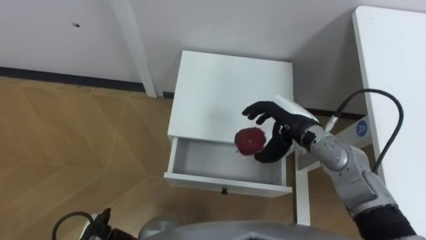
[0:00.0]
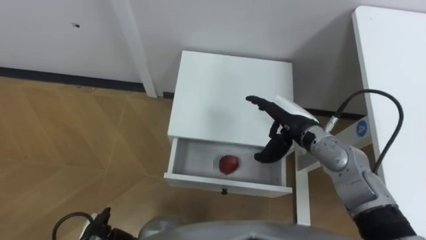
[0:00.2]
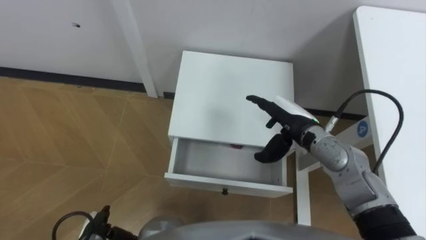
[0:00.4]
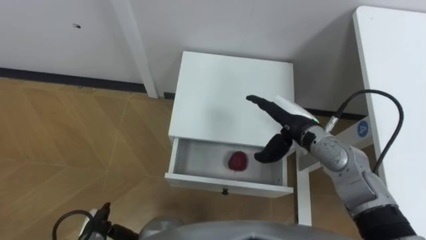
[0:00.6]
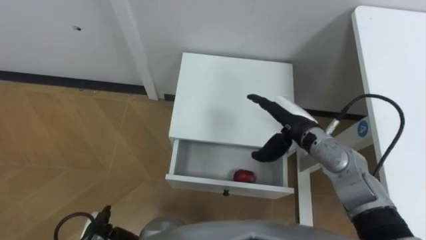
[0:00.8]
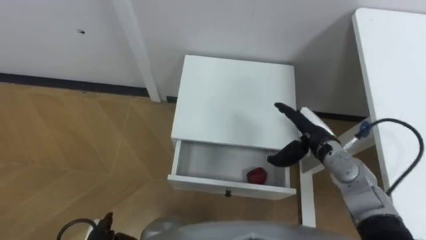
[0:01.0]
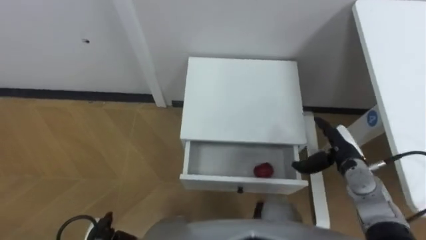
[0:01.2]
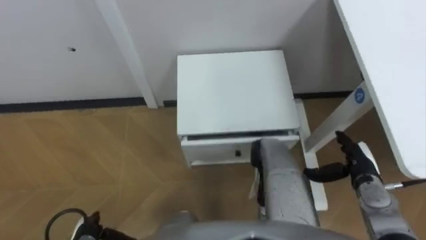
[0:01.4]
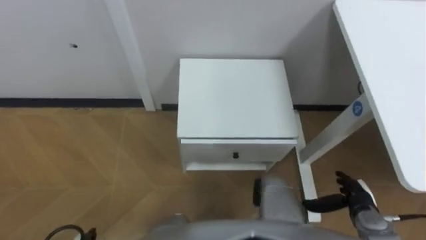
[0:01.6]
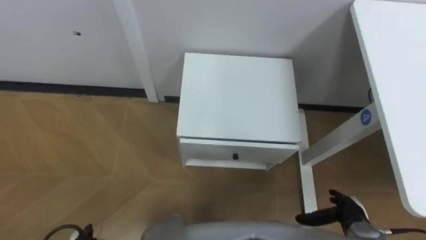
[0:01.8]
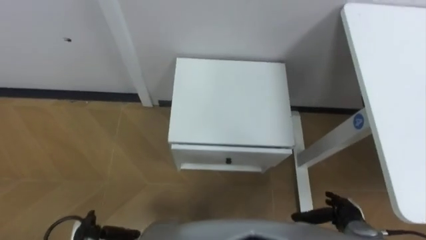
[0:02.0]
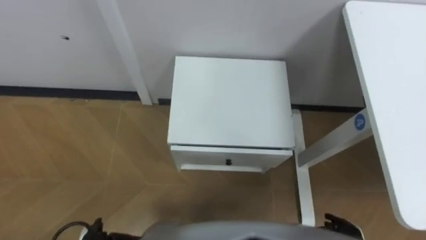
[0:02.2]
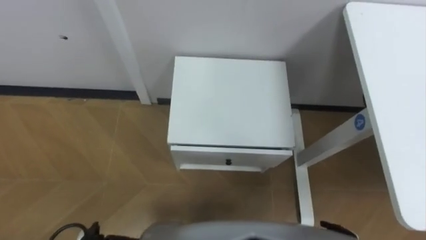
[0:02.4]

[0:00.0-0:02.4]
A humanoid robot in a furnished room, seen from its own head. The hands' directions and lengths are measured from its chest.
Task of the whole recording: Pick up the apple from the table, put it in the drawer, and close the drawer with leg.
0.0 to 1.2 s: The right hand shifts about 15 cm to the right and downward.
1.2 to 2.4 s: The right hand heads backward and downward, covering about 20 cm.

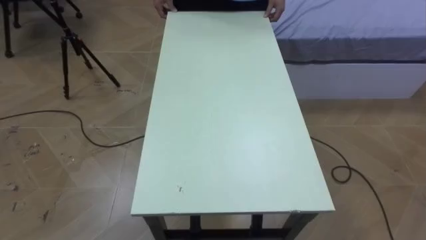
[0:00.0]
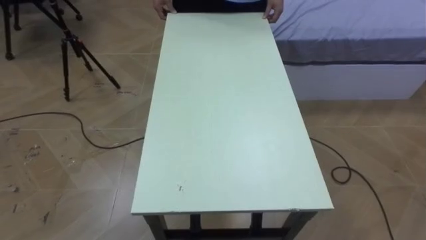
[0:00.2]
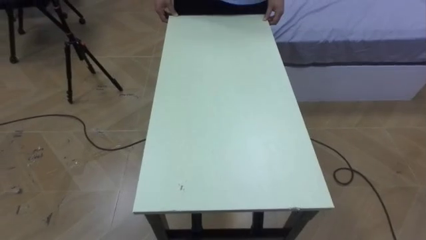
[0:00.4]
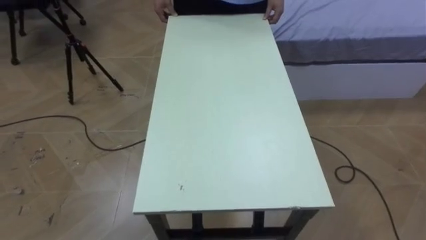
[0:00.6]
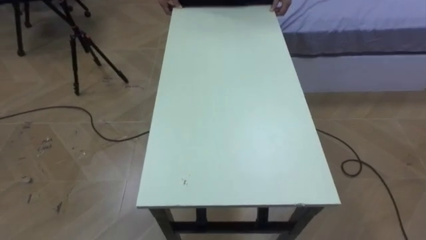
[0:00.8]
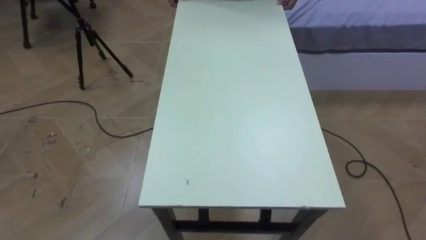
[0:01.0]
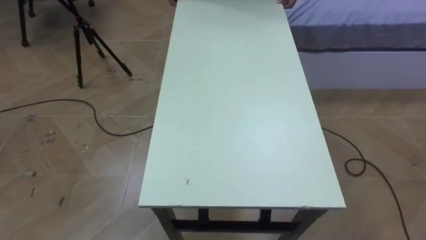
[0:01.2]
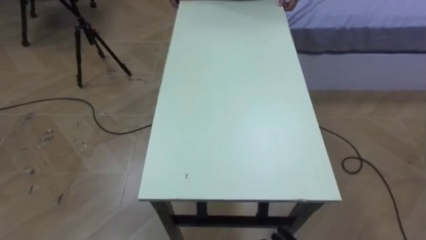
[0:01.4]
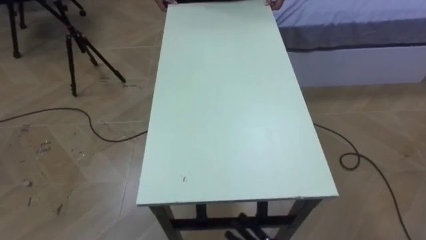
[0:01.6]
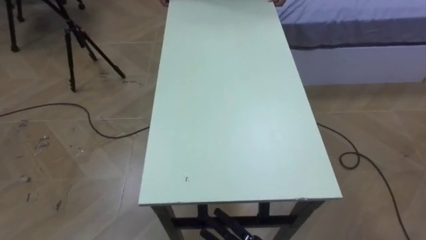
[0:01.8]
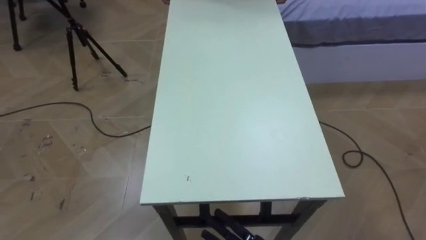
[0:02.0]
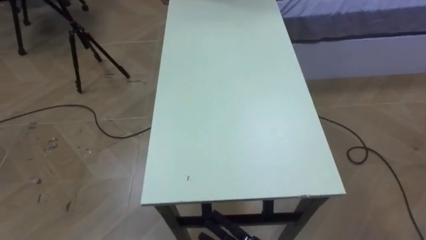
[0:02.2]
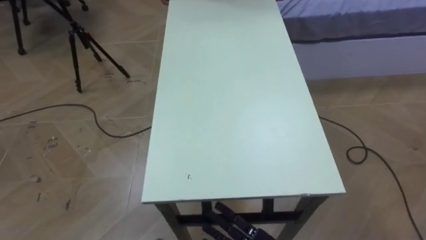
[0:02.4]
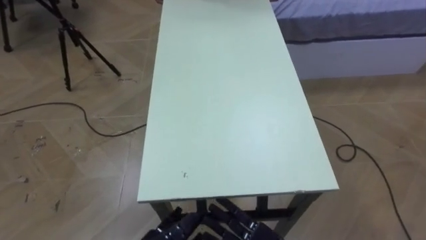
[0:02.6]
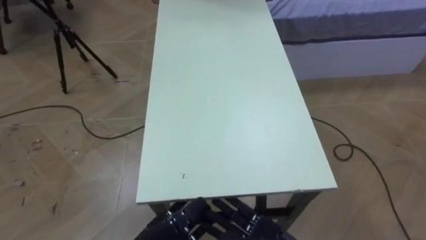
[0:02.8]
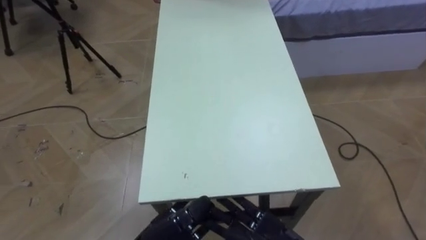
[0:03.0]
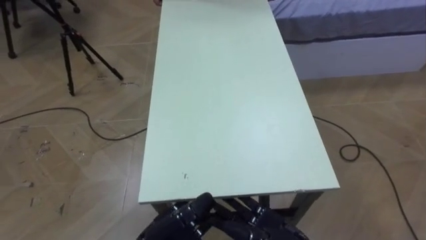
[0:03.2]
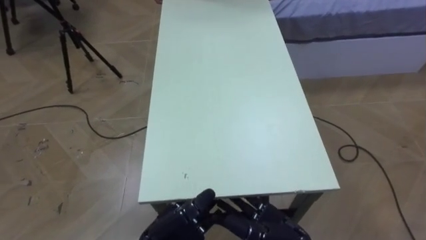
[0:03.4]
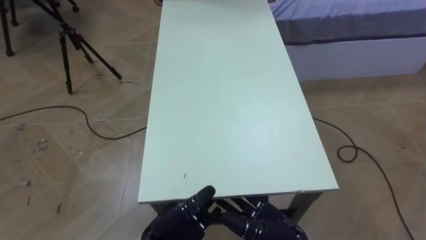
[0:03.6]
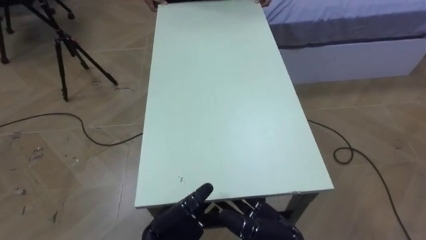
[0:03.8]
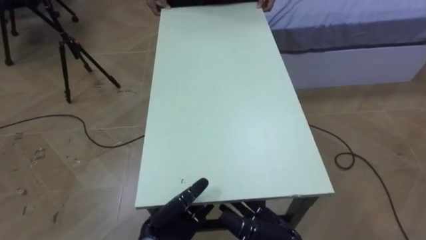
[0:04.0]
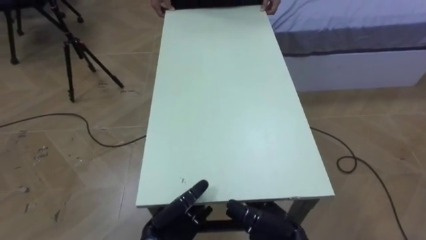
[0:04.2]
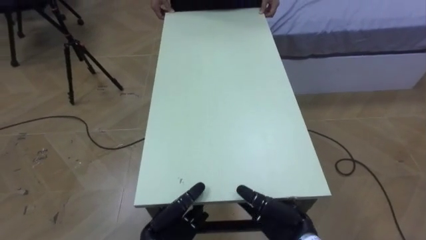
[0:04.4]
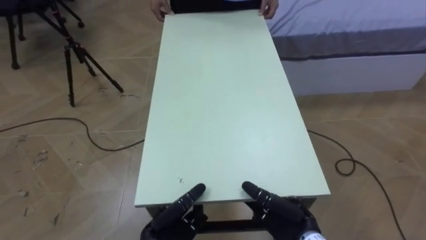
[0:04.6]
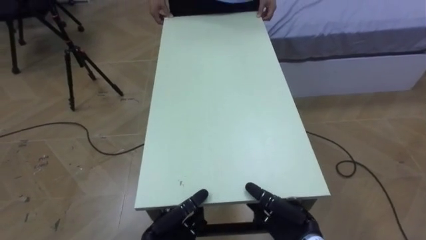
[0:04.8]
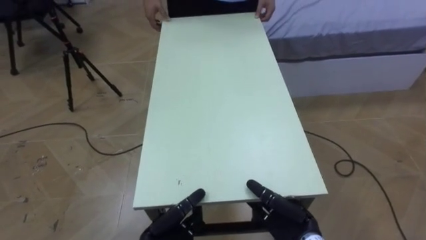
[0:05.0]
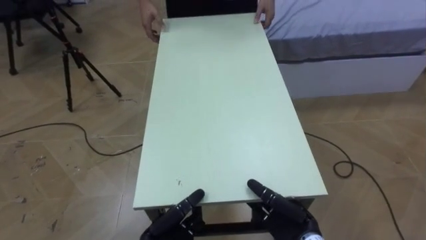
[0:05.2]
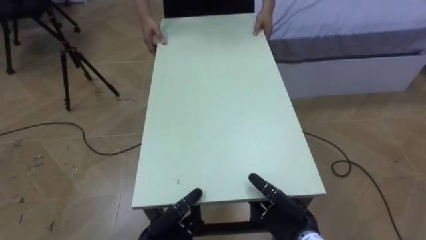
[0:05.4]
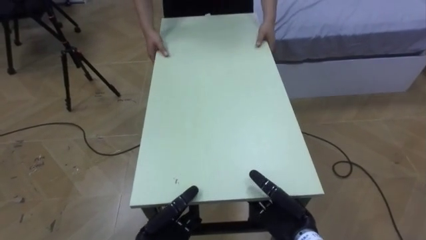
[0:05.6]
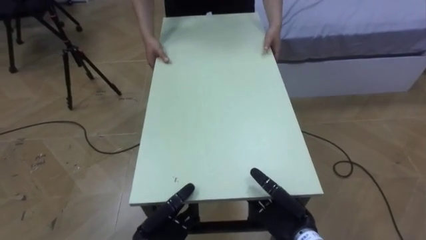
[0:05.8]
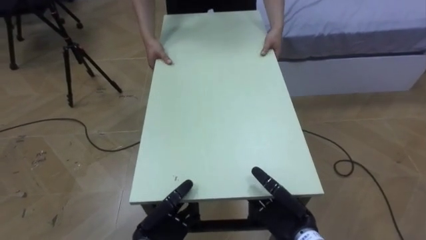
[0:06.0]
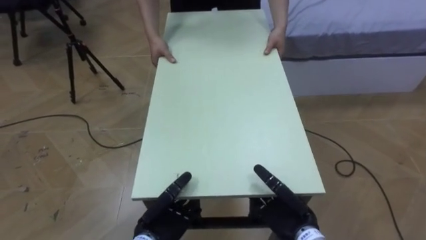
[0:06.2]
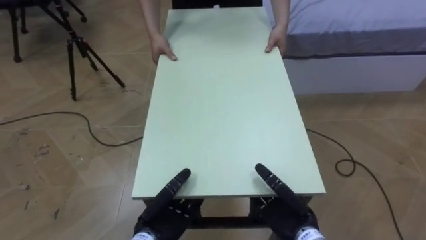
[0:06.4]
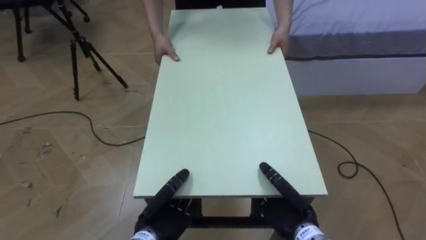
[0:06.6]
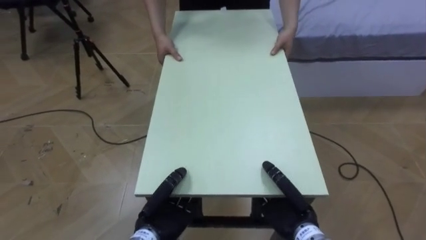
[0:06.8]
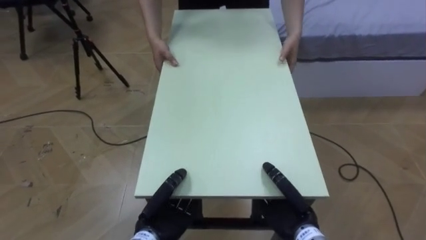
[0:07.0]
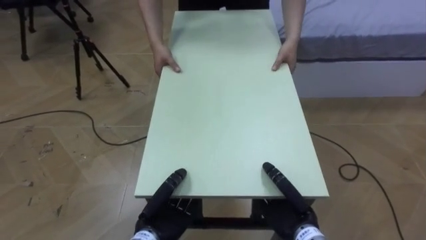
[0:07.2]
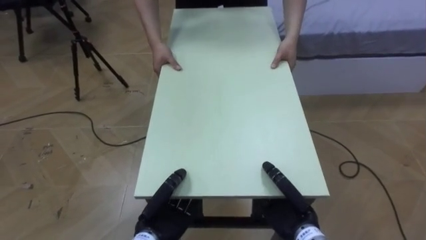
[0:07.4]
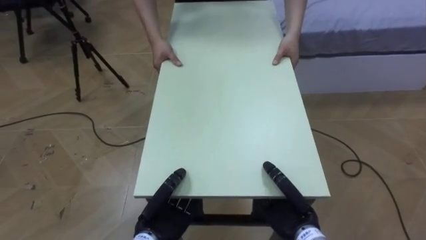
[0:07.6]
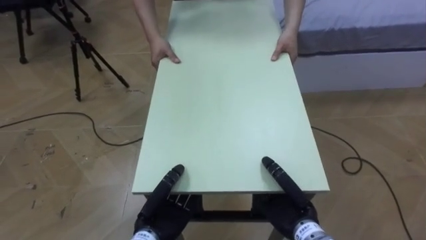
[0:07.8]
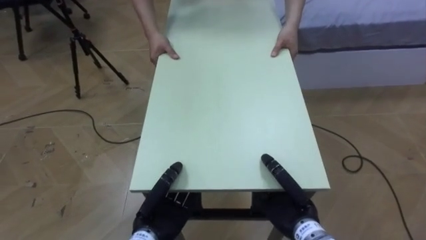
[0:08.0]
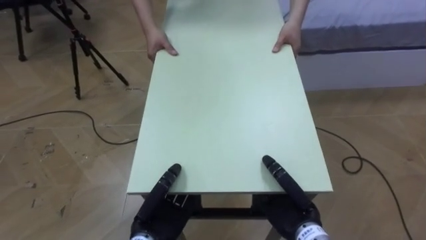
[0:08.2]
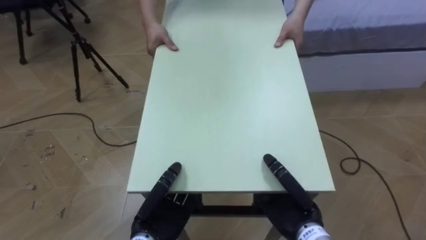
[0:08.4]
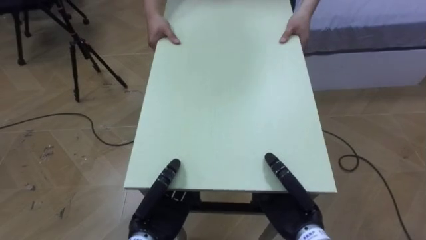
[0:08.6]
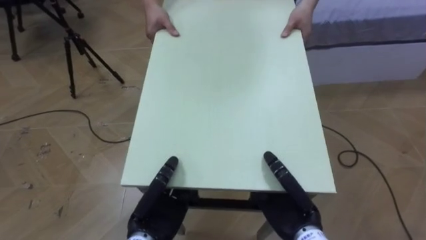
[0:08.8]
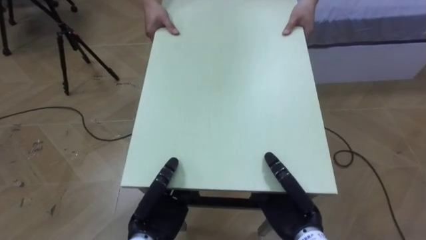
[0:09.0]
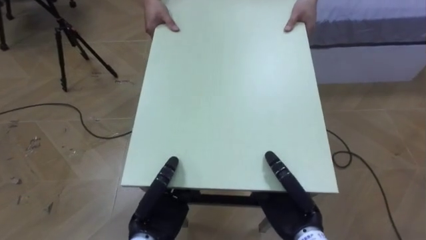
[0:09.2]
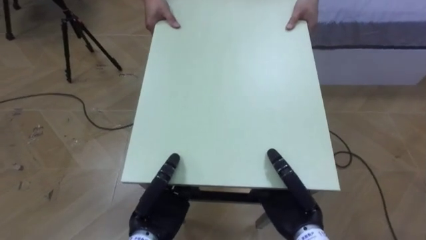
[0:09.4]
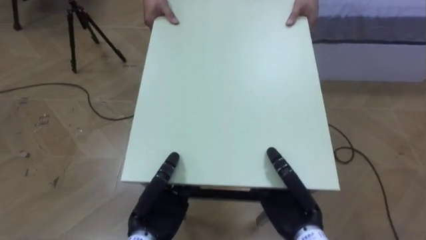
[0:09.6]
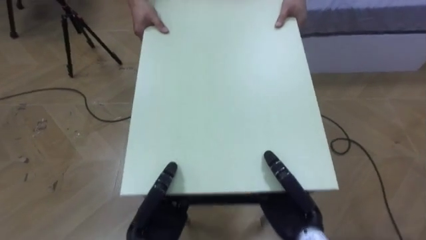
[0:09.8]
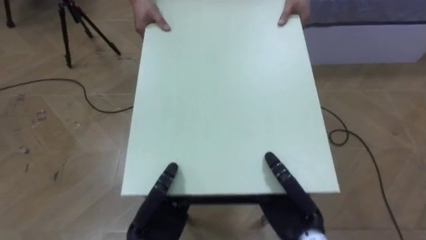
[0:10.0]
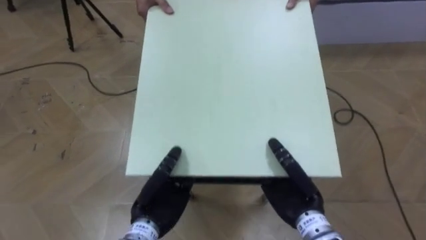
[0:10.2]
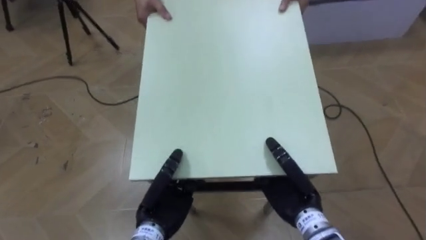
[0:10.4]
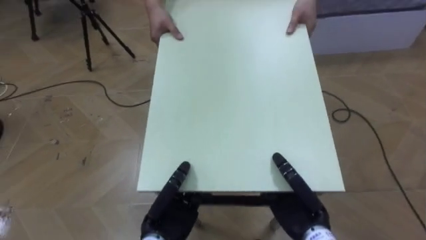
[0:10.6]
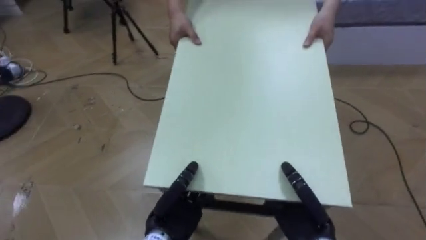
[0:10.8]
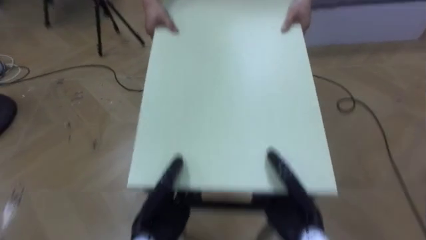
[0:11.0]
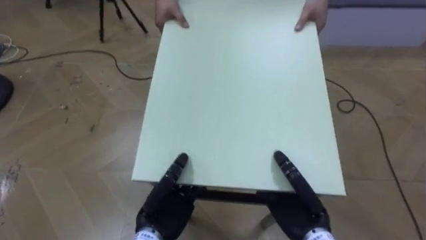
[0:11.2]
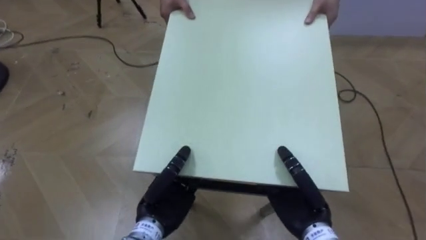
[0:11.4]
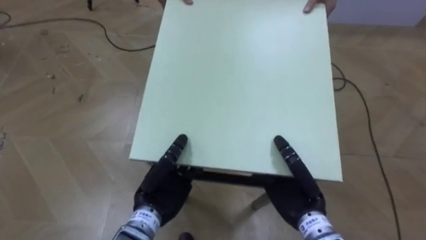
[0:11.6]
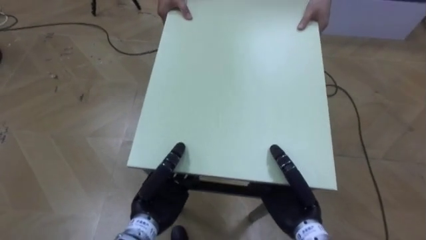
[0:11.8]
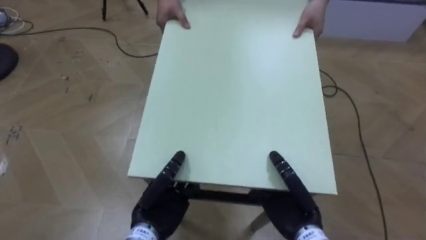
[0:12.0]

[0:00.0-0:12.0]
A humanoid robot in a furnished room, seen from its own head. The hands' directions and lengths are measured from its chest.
Task of the whole recording: Move the table to the back left with someone.
3.0 to 4.4 s: The left hand is displaced downward by roughly 5 cm.
6.0 to 7.6 s: The left hand closes its fingers, while the right hand closes.
7.6 to 9.0 s: The right hand shifts by approximately 5 cm.

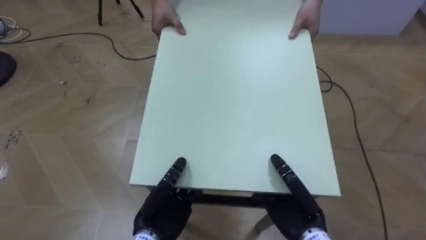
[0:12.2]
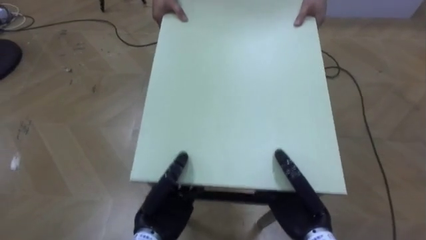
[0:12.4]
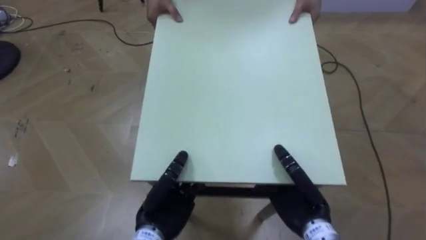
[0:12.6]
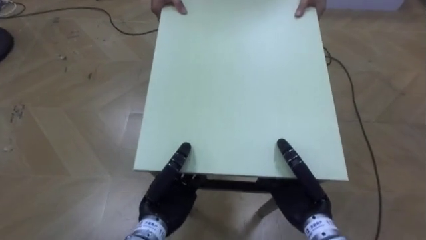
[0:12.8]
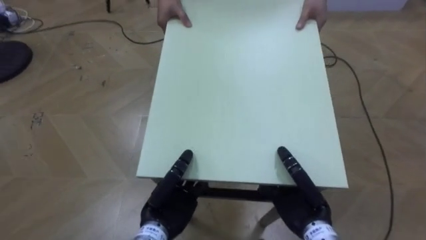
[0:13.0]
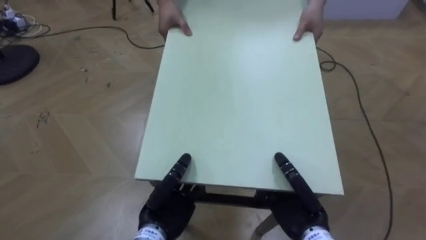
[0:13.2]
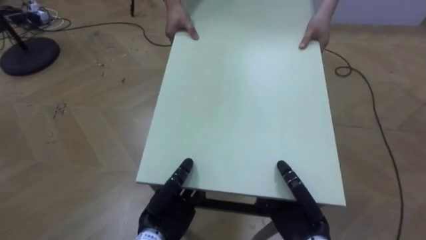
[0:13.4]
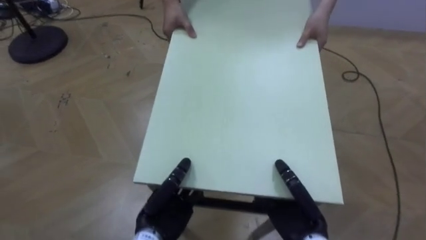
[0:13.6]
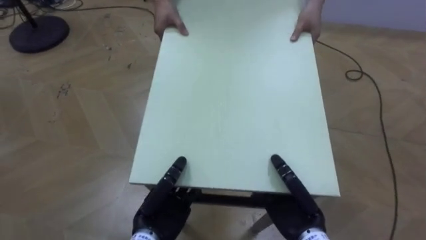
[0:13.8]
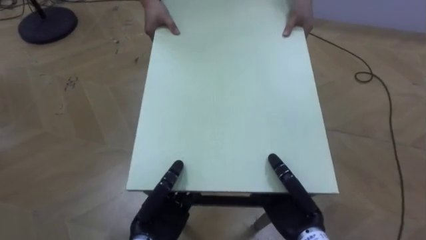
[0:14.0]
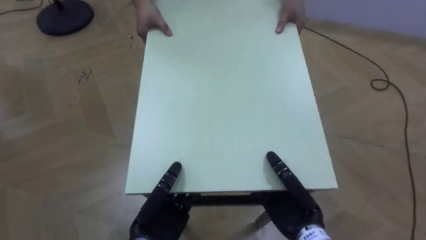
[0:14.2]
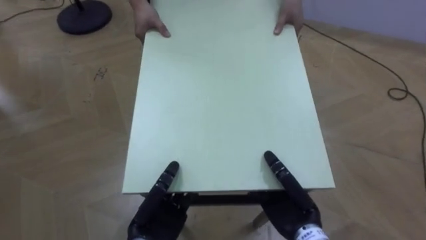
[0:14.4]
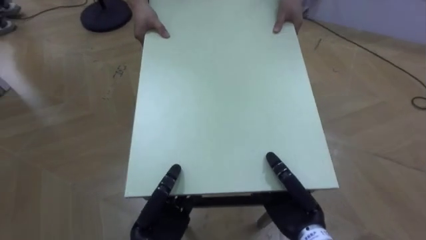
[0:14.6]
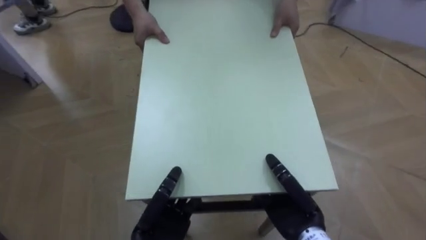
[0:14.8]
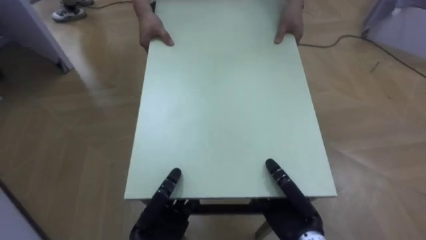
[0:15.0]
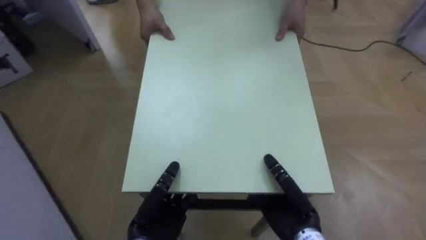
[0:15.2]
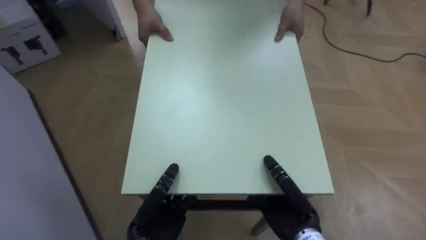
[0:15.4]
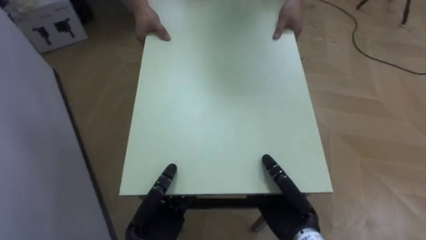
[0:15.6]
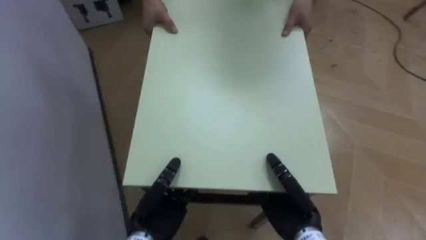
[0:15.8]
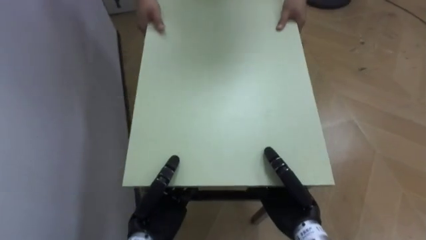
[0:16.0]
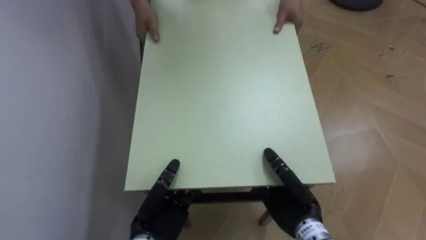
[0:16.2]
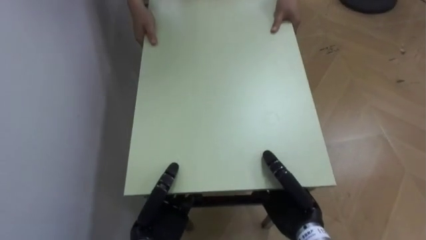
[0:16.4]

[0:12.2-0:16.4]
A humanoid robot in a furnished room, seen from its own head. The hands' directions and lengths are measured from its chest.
Task of the whole recording: Move the table to the back left with someone.
13.6 to 15.0 s: The robot faces some 25 degrees further to its left.
15.0 to 16.4 s: The robot rotates approximately 45 degrees to its left.
